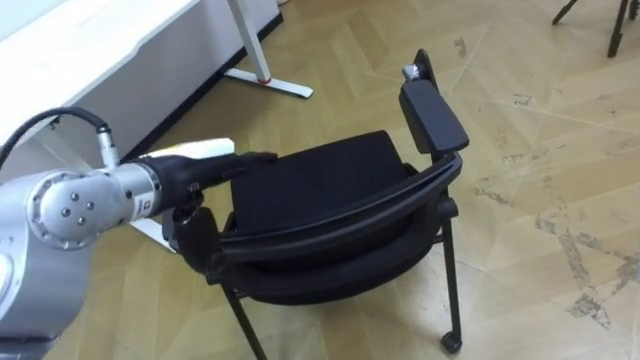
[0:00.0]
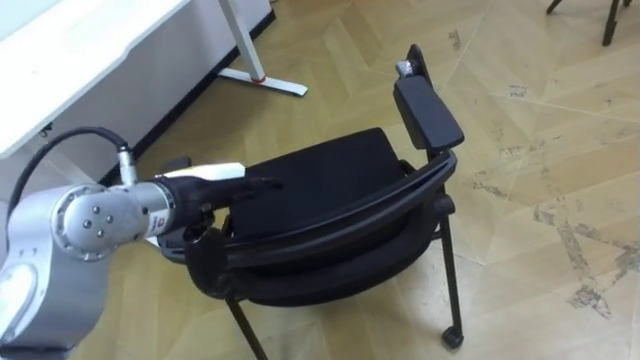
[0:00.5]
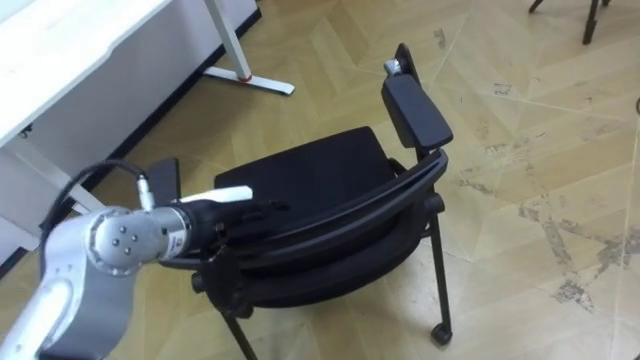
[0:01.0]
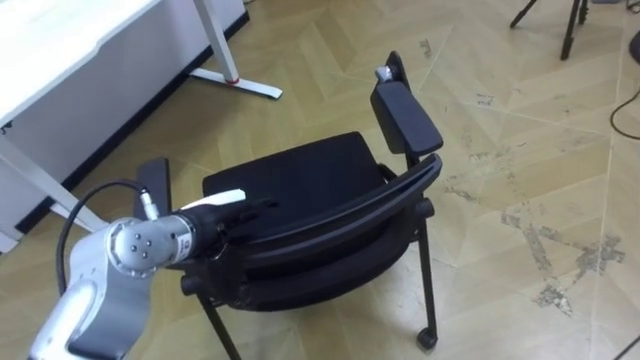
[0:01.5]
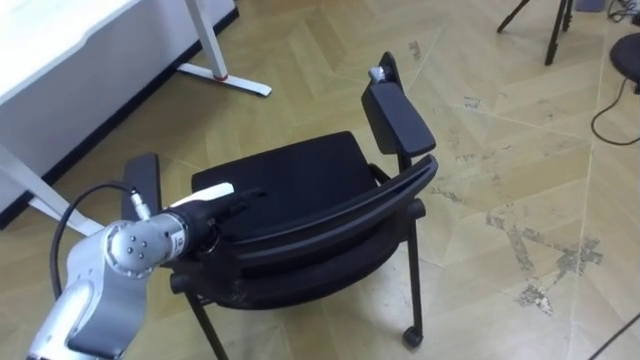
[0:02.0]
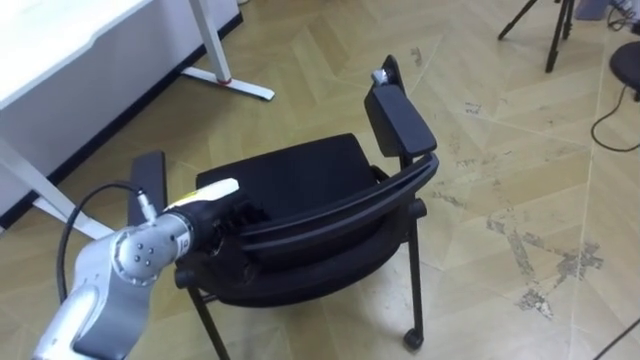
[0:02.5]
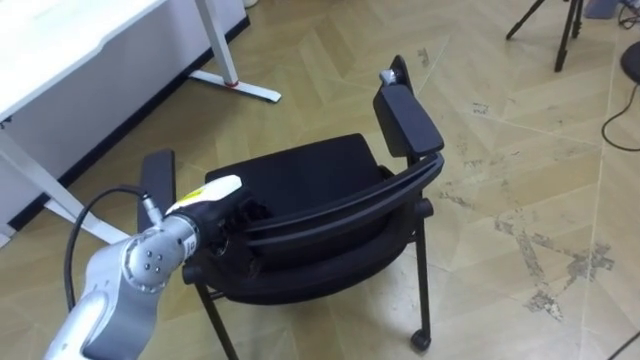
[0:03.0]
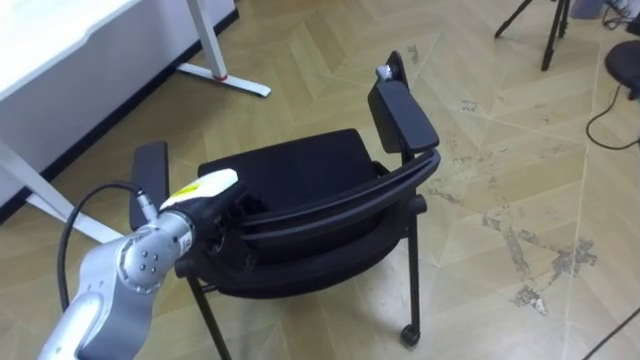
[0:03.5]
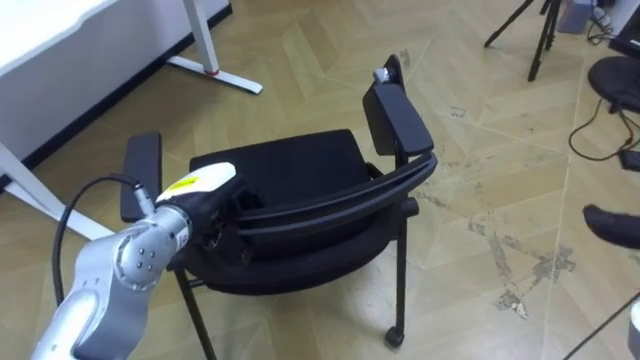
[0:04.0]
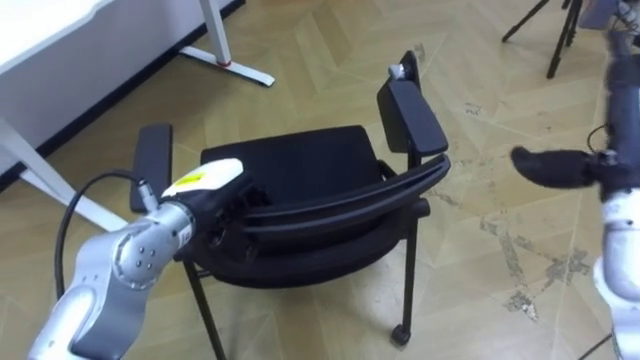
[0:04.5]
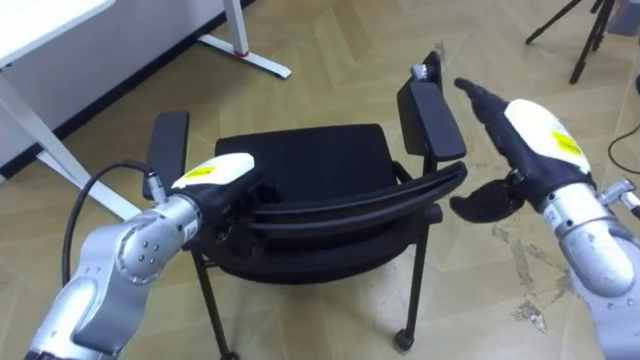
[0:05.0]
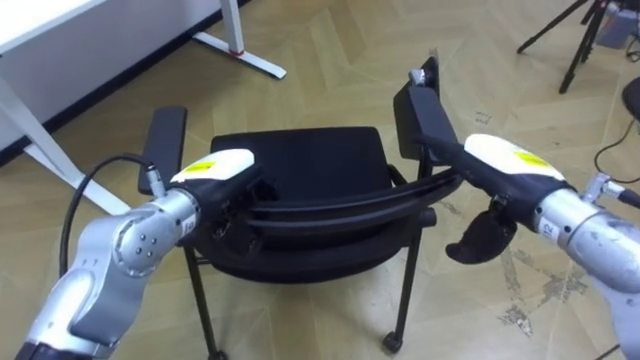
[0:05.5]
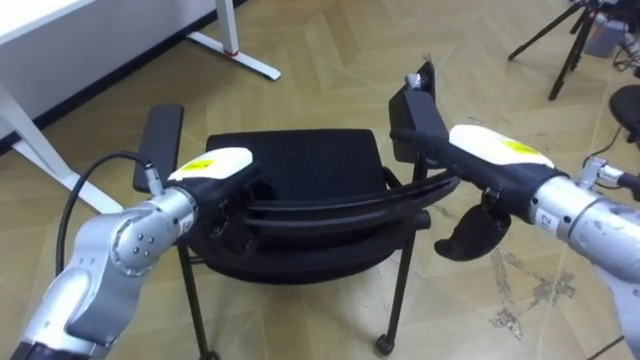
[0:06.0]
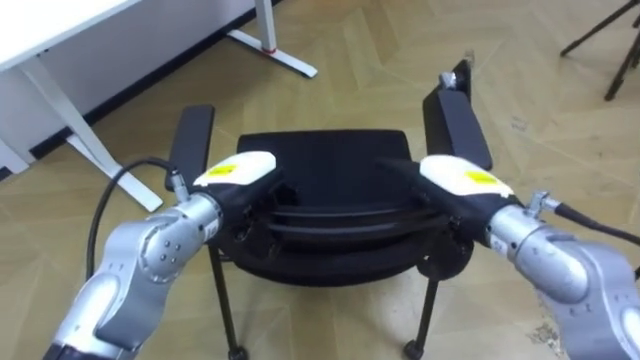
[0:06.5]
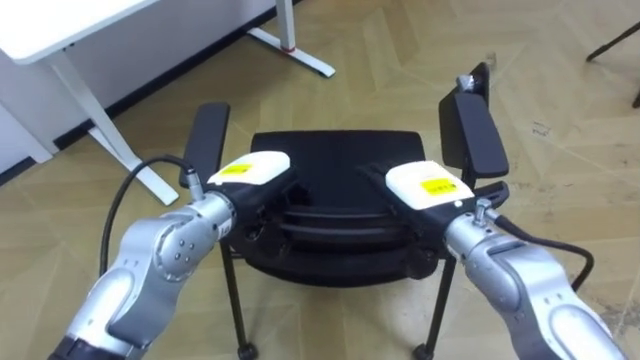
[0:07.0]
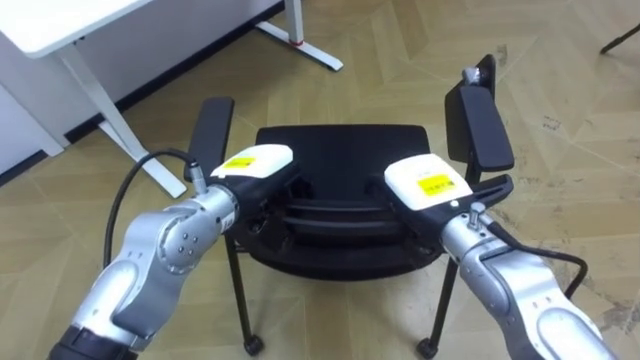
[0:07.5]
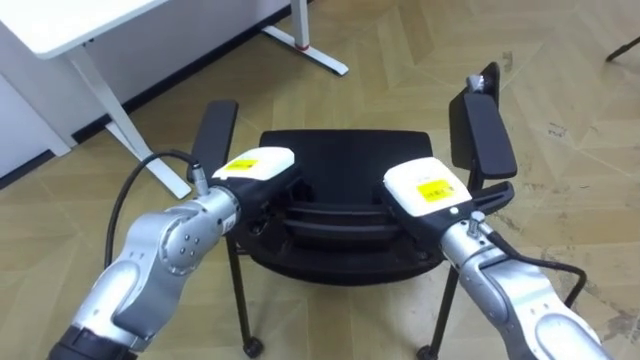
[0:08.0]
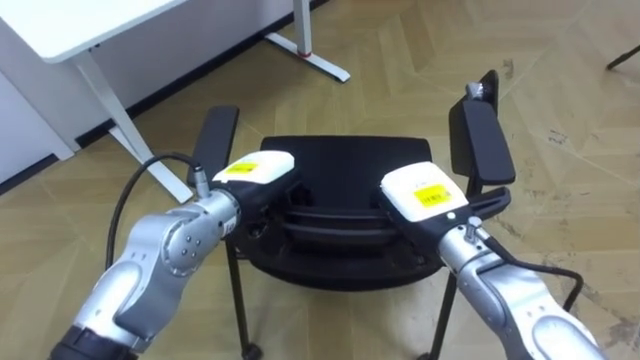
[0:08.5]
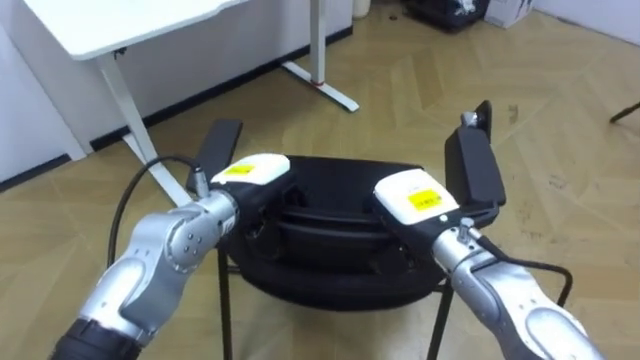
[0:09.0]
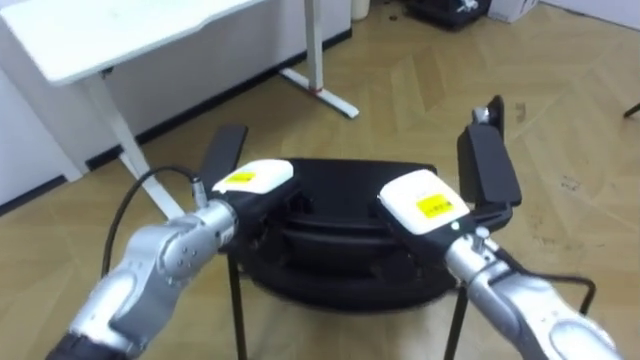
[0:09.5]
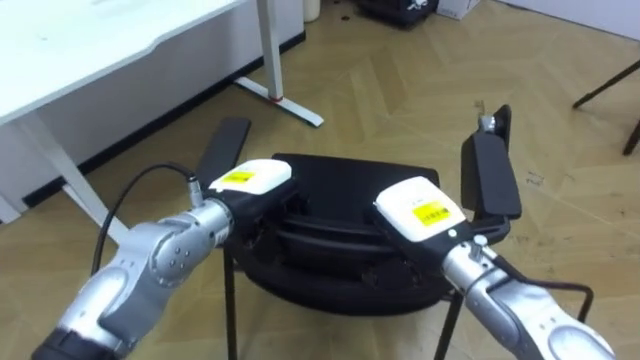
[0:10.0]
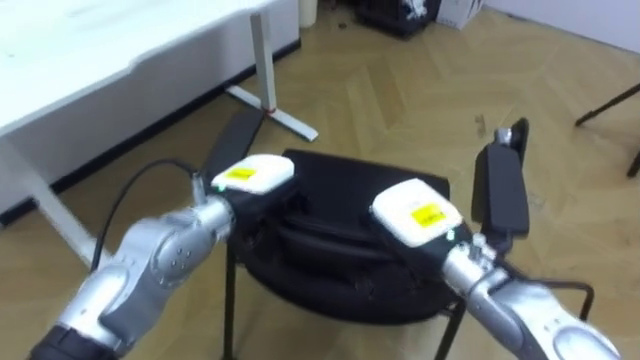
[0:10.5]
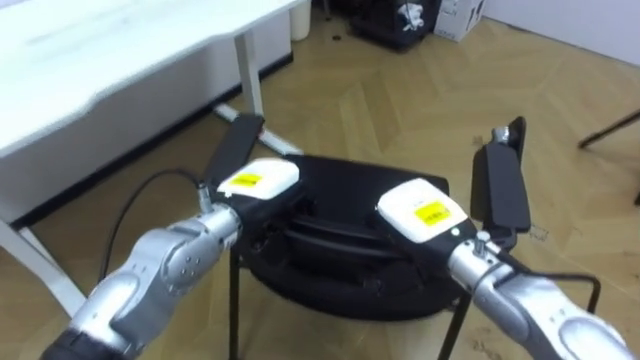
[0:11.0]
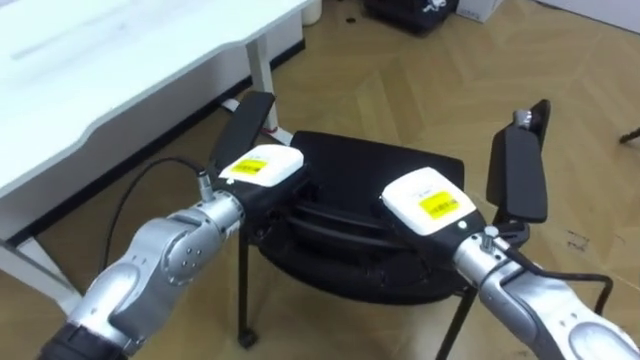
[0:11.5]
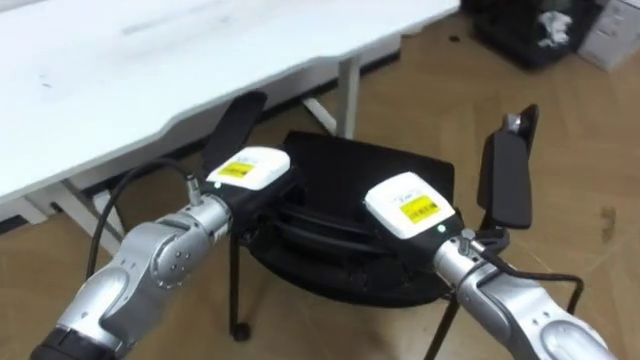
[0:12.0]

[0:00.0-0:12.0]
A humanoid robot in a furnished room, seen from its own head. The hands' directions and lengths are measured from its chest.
Task of the whole recording: Push the chair under the table.
0:00.0 to 0:02.0: The left hand goes roughly 10 cm downward.
0:02.0 to 0:04.0: The left hand closes up.
0:06.0 to 0:08.0: The right hand is displaced downward and to the left by about 10 cm, and closes its fingers, while the left hand heads to the right, covering some 5 cm.
0:10.0 to 0:12.0: The robot rotates roughly 15 degrees to its left.

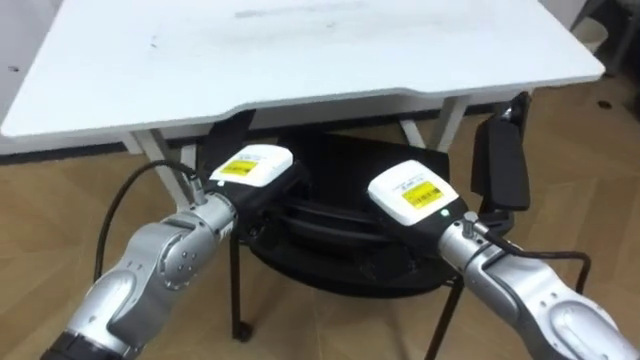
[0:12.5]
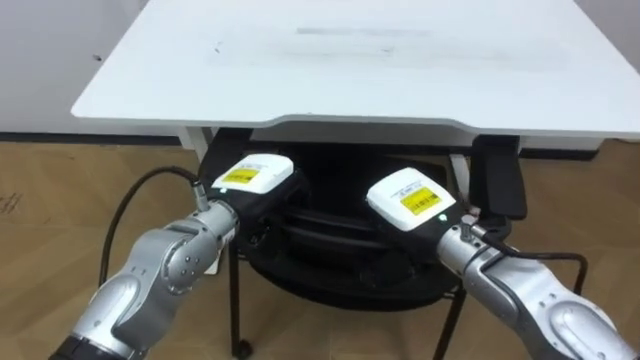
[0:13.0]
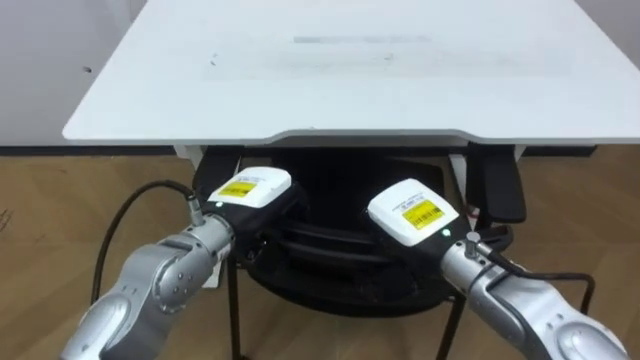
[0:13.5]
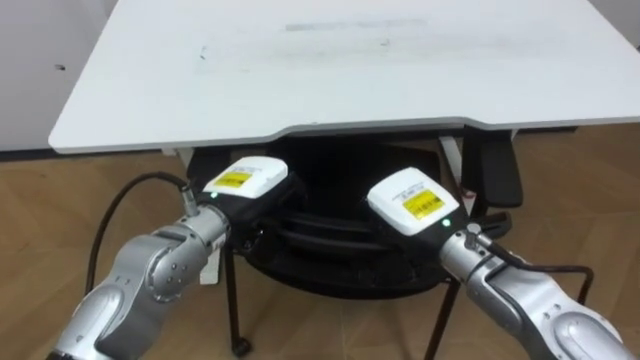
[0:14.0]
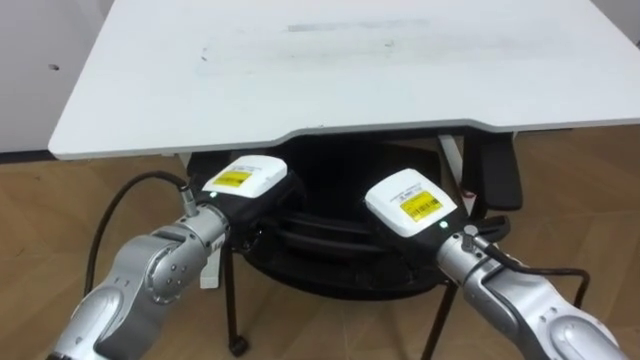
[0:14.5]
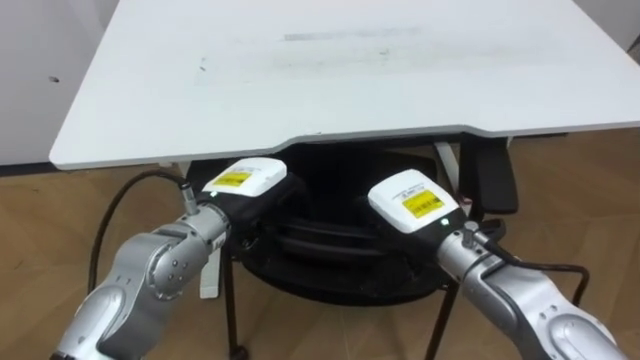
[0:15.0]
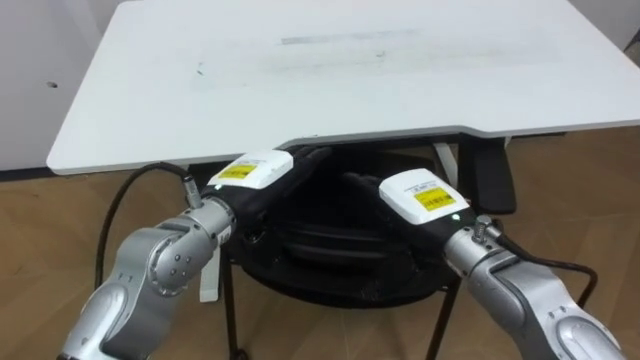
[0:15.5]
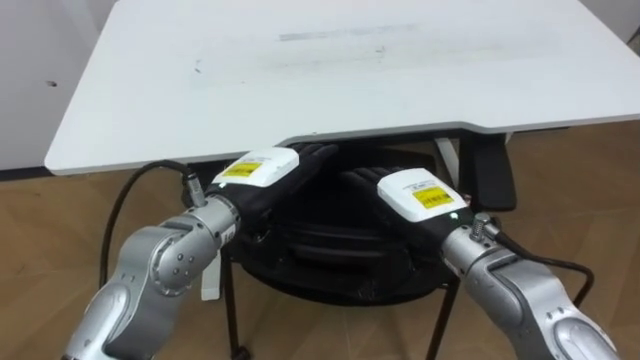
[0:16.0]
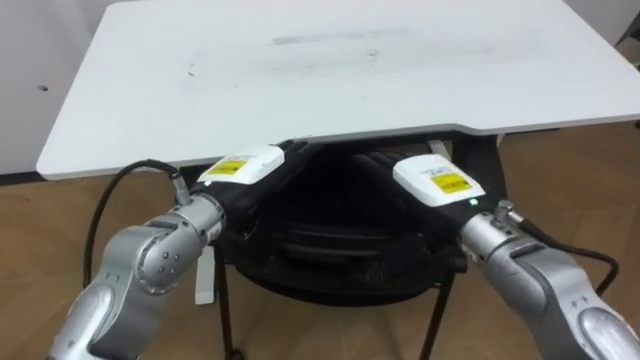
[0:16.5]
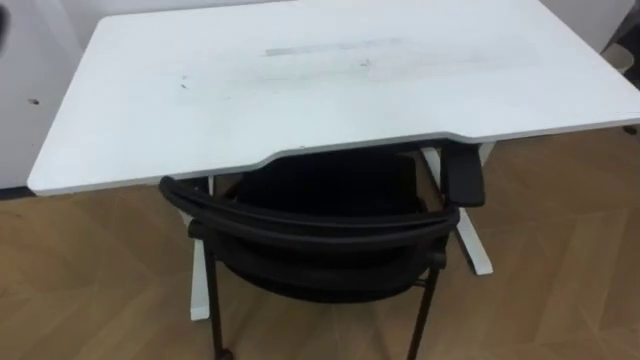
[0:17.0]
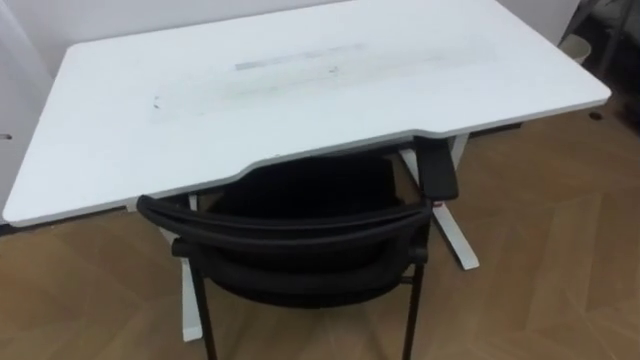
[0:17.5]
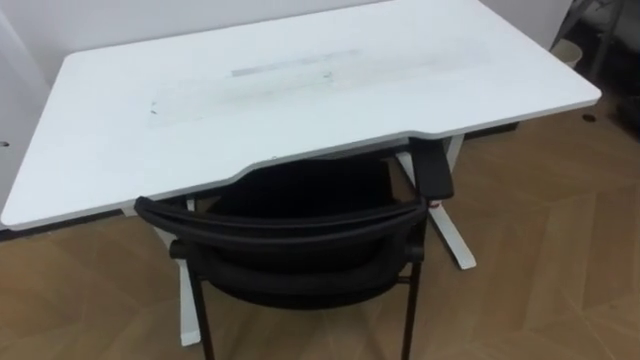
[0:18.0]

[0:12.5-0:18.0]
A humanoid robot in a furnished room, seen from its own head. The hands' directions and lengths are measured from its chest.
Task of the whole recording: Push the chair under the table.
0:14.5 to 0:16.0: The left hand opens its fingers. Meanwhile the right hand opens.

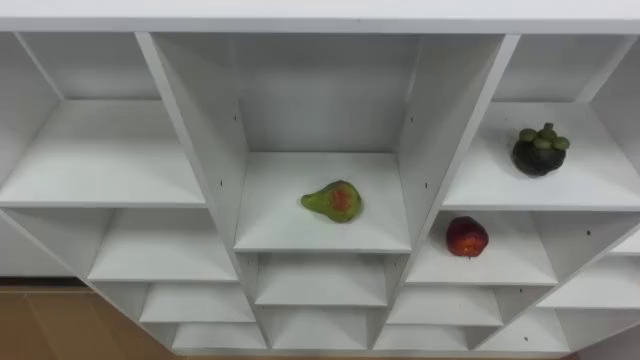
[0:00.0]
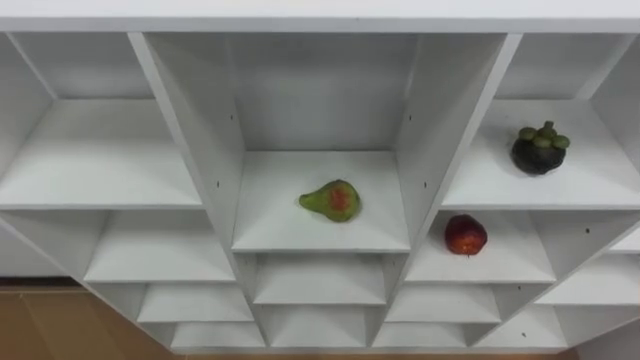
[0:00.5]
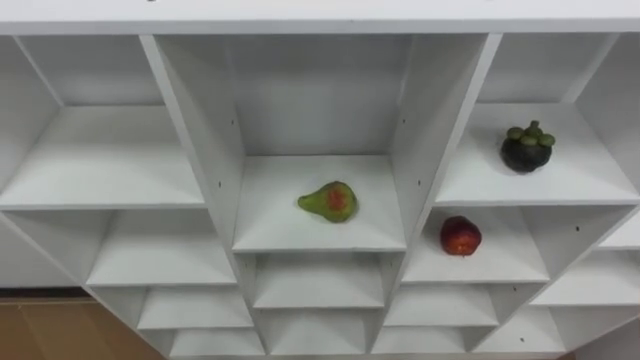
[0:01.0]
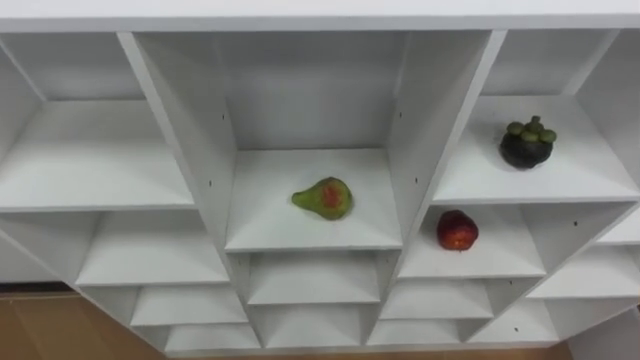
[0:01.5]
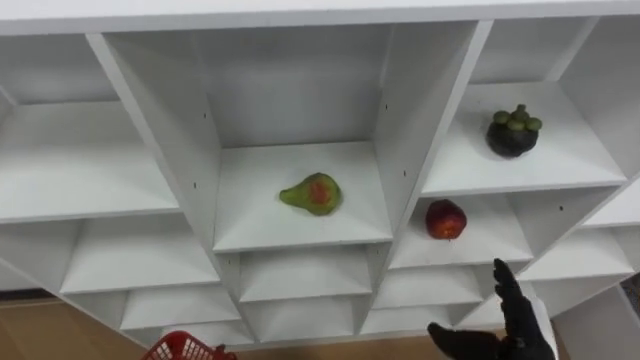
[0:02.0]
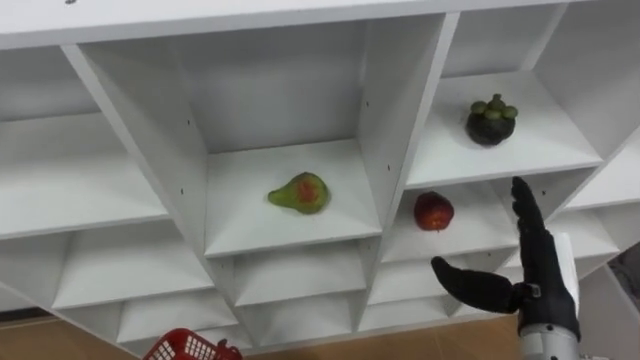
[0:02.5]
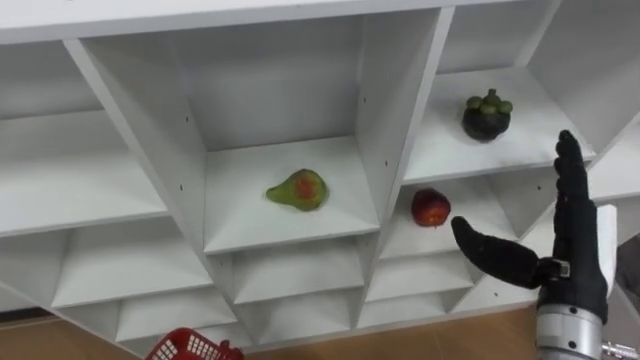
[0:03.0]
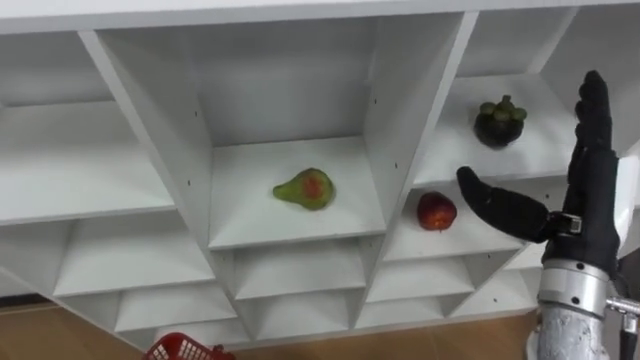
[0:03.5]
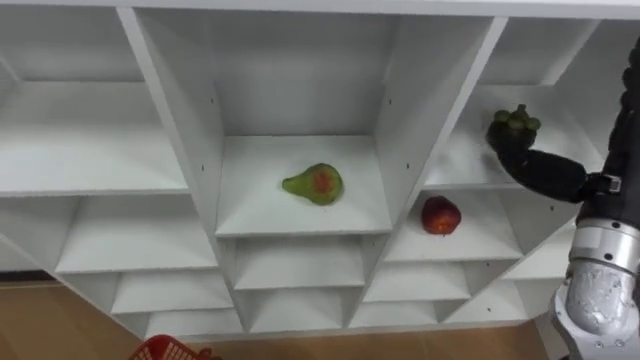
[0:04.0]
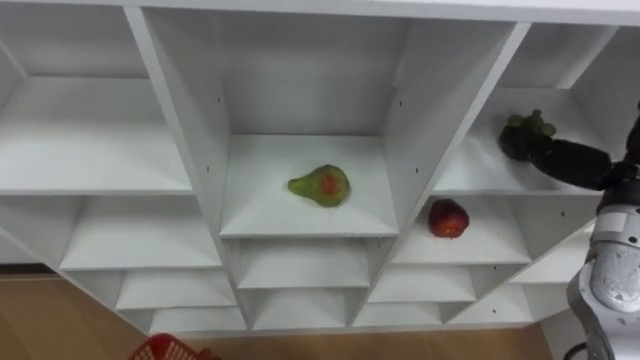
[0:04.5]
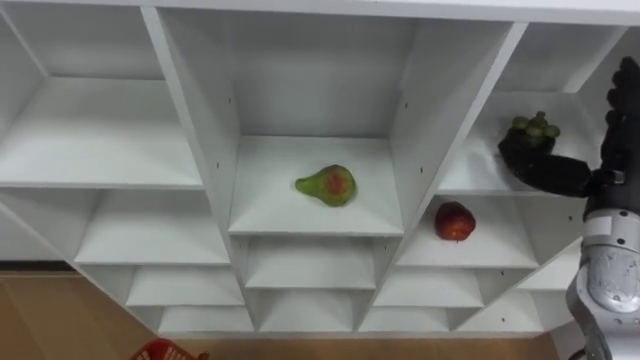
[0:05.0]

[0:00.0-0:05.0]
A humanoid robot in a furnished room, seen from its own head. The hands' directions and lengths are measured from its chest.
Task of the whole recording: Hold the basket and collect the fruits from 3 different cells of the closet into it.
0:02.5 to 0:05.0: The right hand heads upward, forward and to the right, covering some 15 cm.
